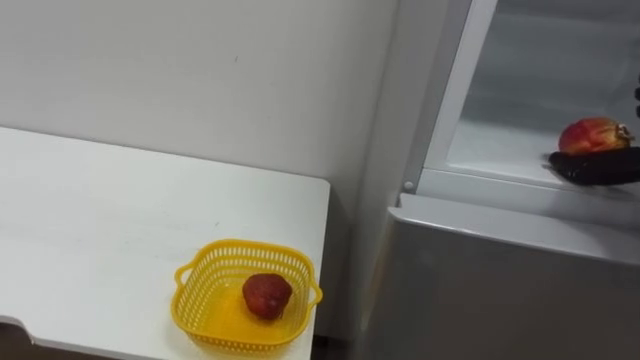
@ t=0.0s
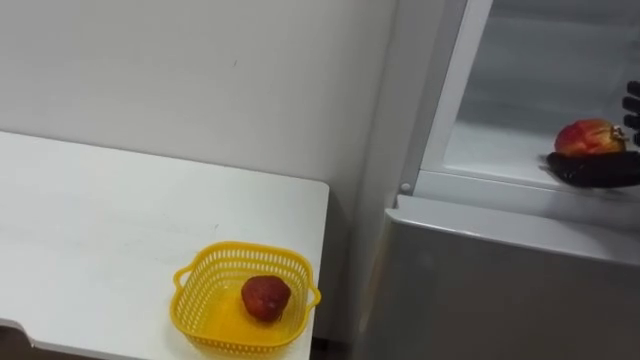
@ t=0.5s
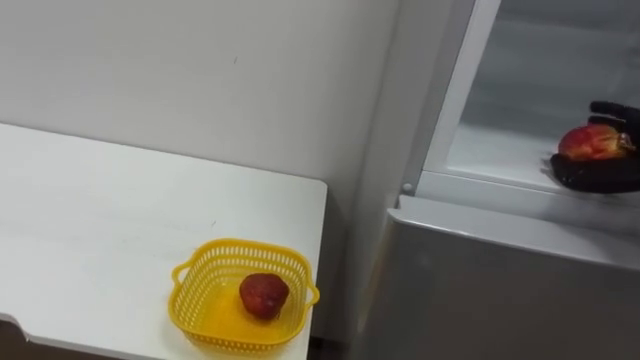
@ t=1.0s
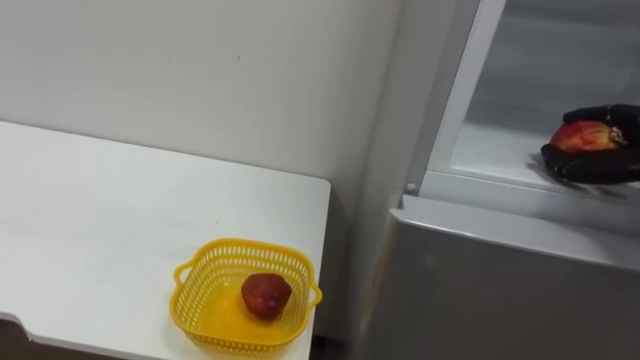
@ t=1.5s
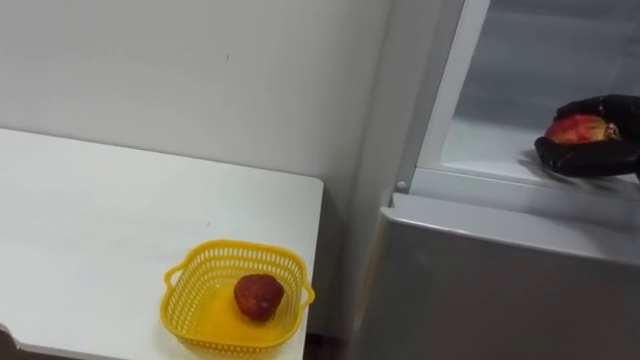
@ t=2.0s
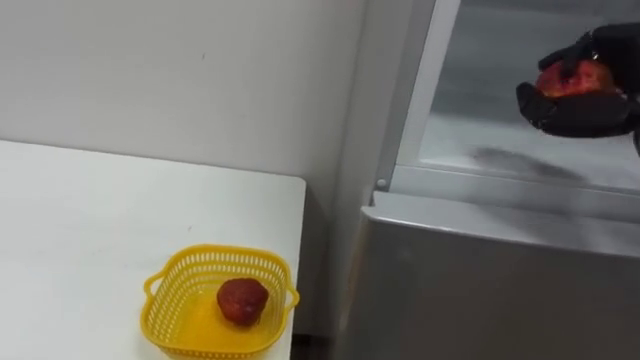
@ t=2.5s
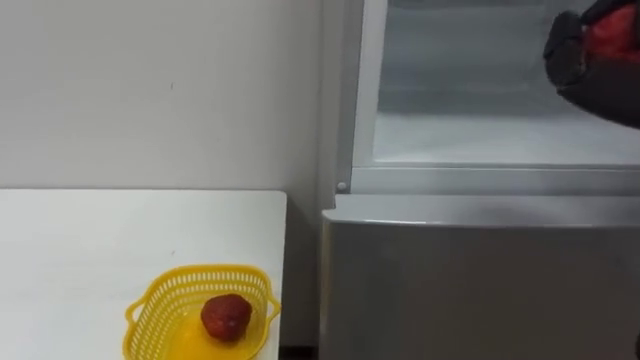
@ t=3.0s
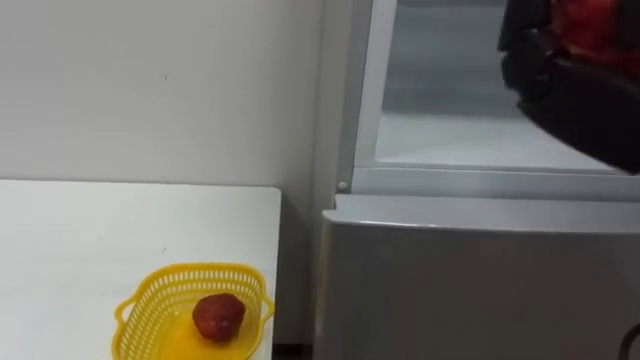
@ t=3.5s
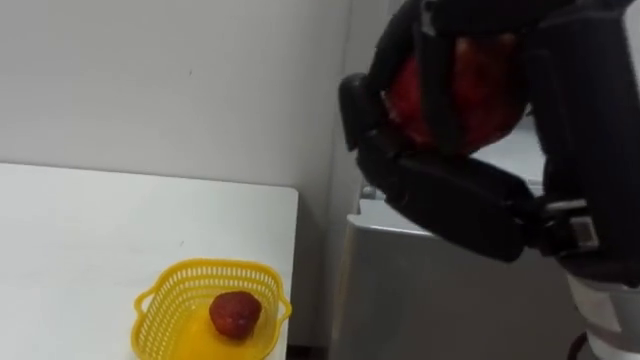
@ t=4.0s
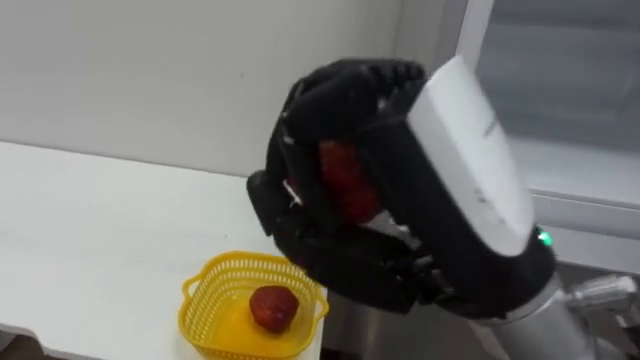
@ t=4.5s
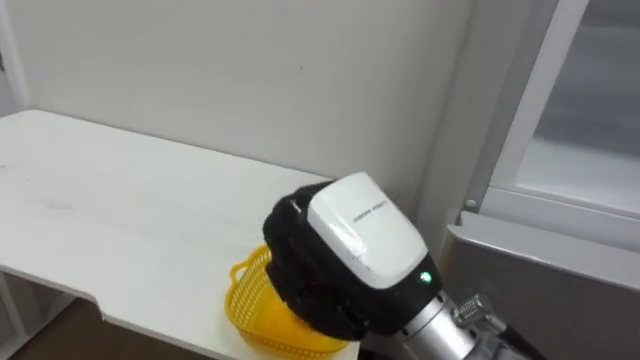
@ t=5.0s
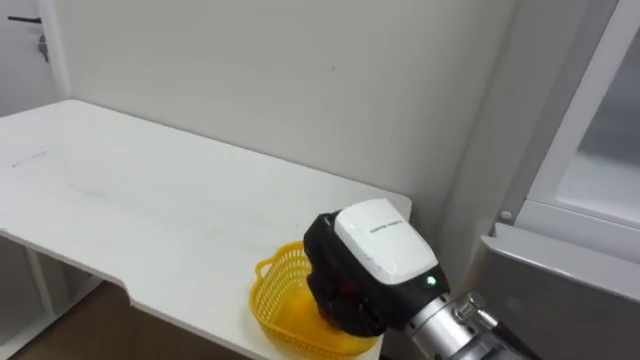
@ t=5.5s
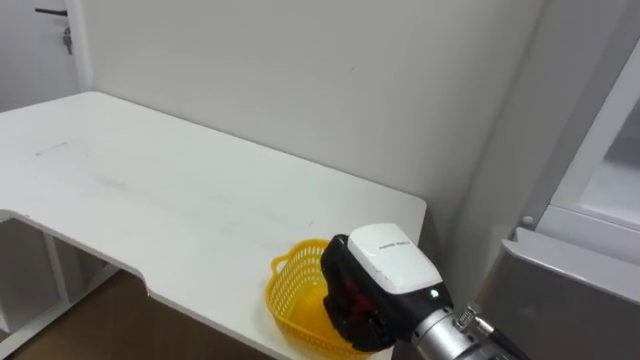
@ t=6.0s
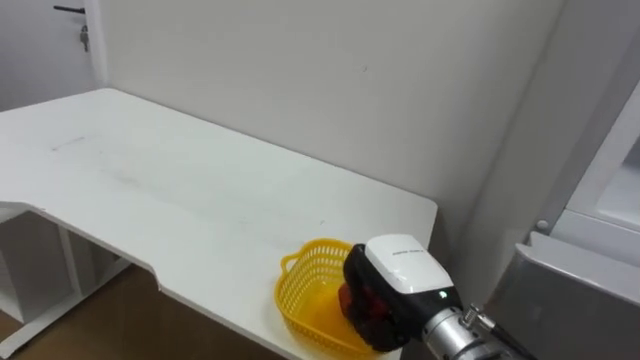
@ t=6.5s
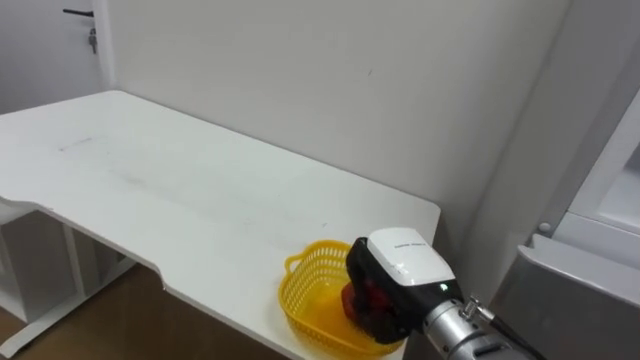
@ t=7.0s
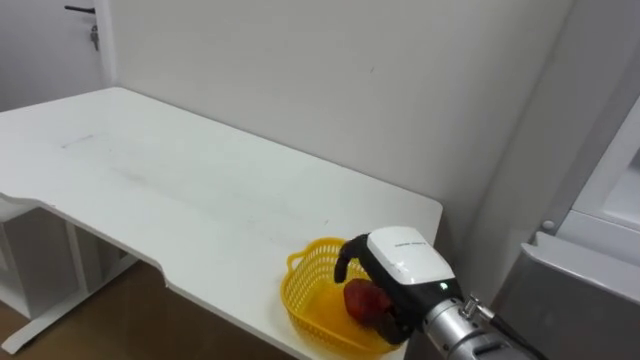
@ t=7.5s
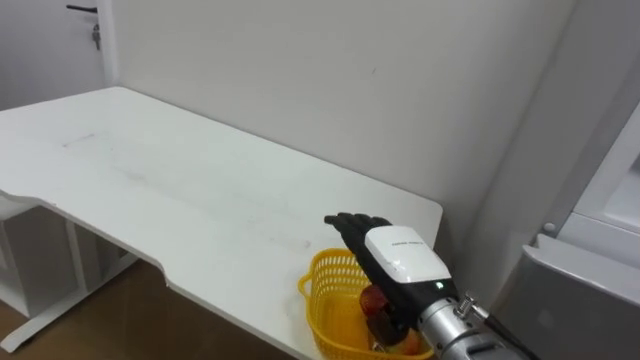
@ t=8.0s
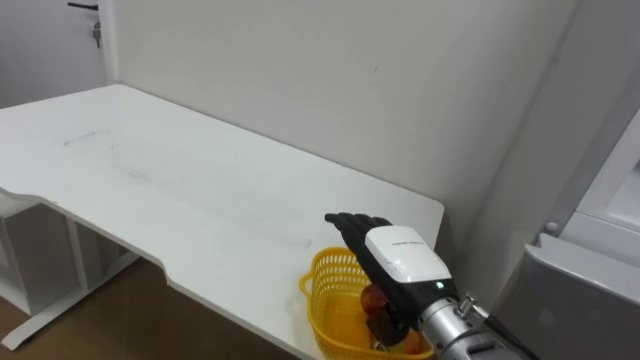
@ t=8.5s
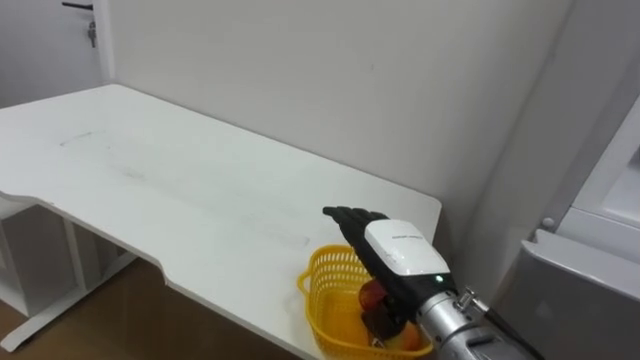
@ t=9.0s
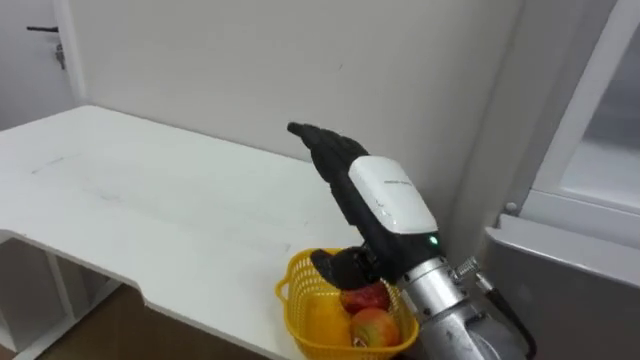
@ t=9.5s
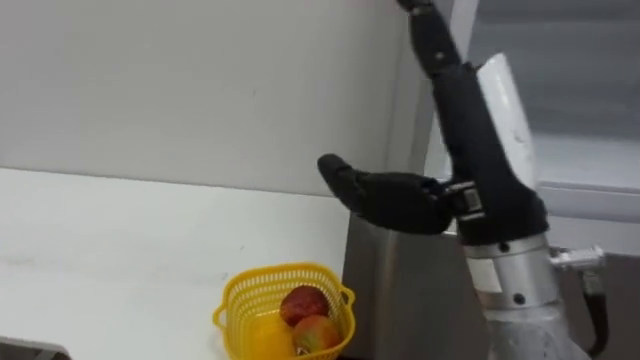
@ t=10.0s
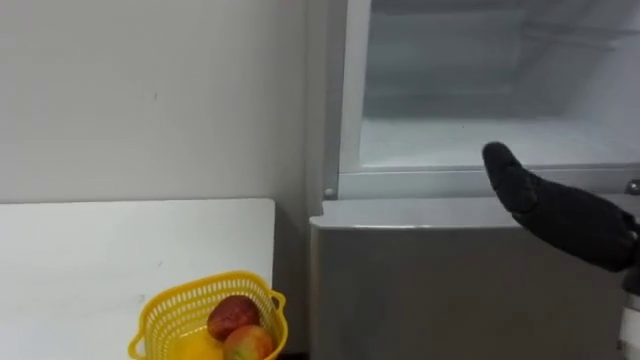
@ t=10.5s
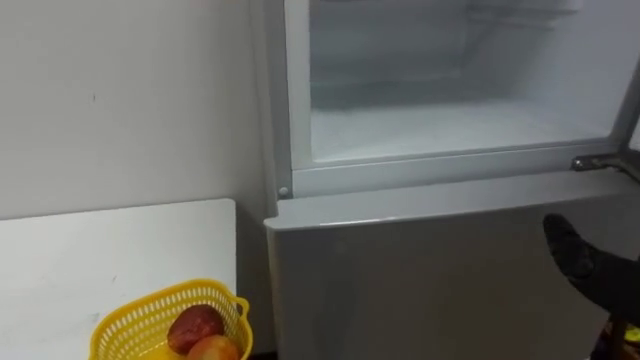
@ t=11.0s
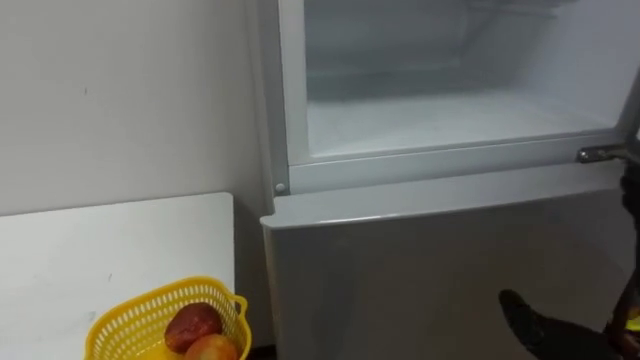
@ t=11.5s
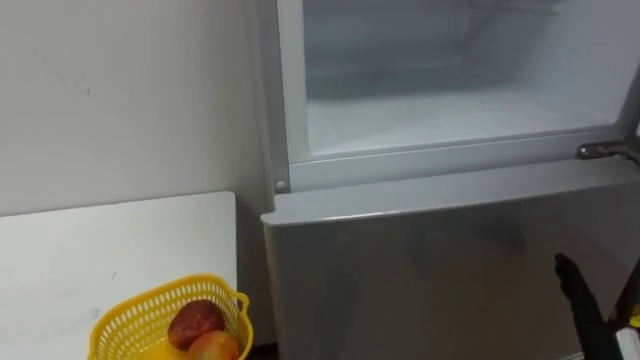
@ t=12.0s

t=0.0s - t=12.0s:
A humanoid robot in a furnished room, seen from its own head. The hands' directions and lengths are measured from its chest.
Task of the whole recording: Open the refrigerator door, take out the apple and the pomegranate, place them in the fruit basket on the left, and close the refrigerator door.
t=4.0s - t=6.0s: The right hand travels downward and forward by approximately 25 cm.
t=6.0s - t=8.0s: The right hand opens up.
t=8.0s - t=10.0s: The right hand goes some 20 cm upward and backward.

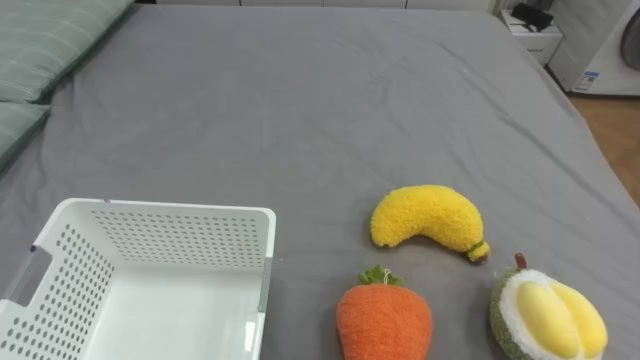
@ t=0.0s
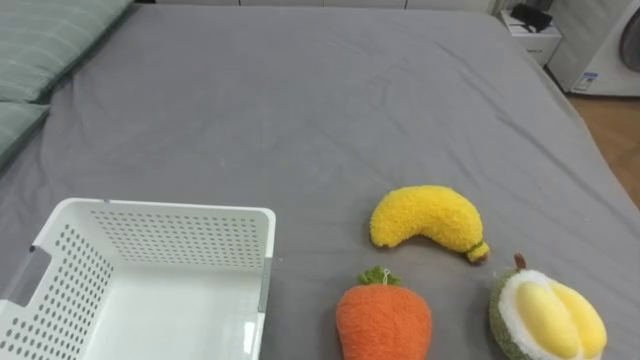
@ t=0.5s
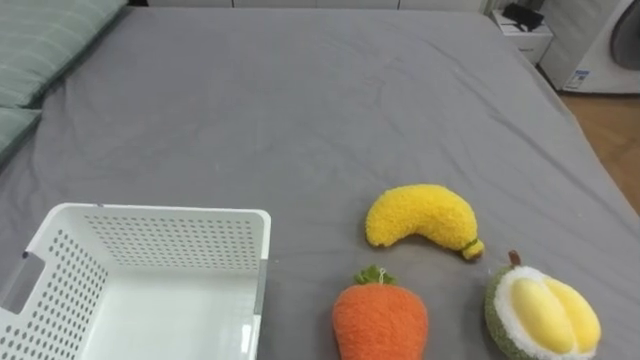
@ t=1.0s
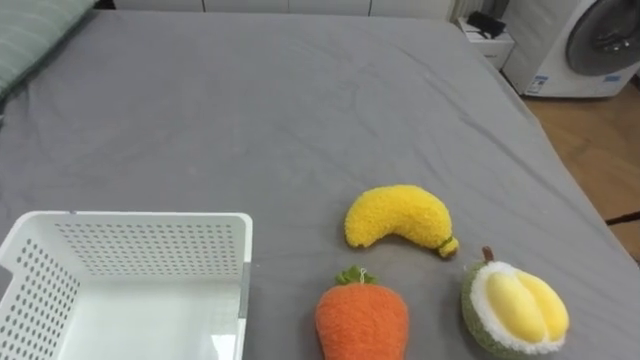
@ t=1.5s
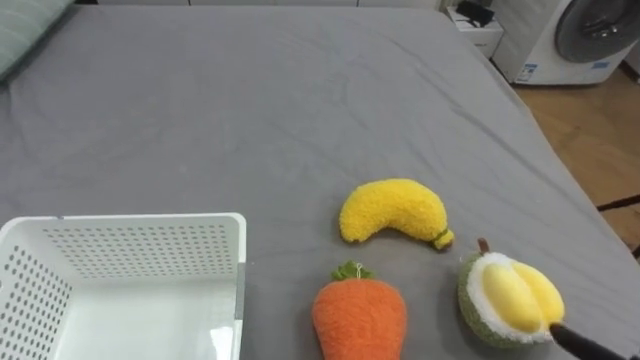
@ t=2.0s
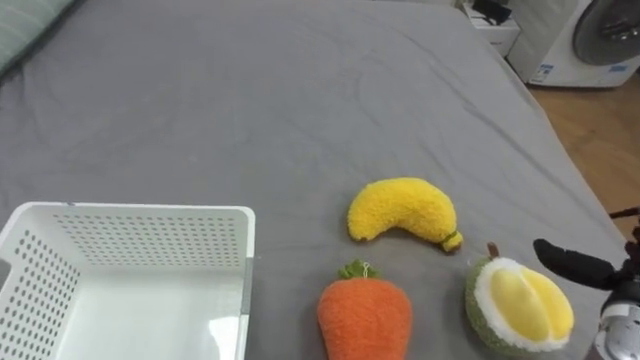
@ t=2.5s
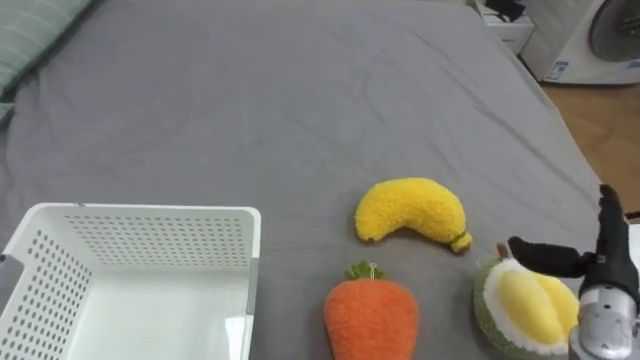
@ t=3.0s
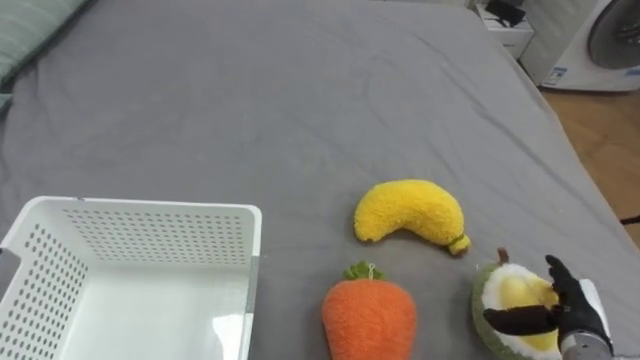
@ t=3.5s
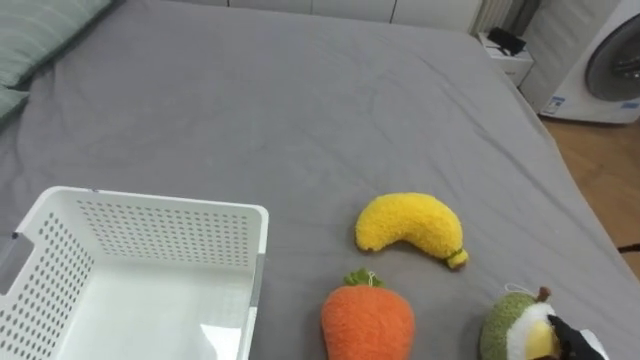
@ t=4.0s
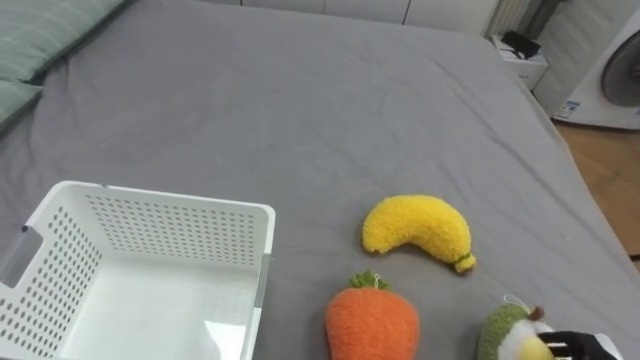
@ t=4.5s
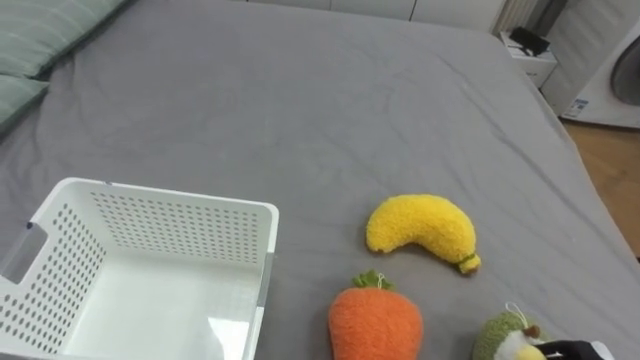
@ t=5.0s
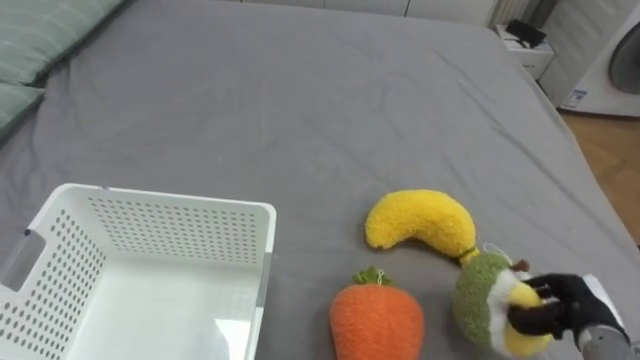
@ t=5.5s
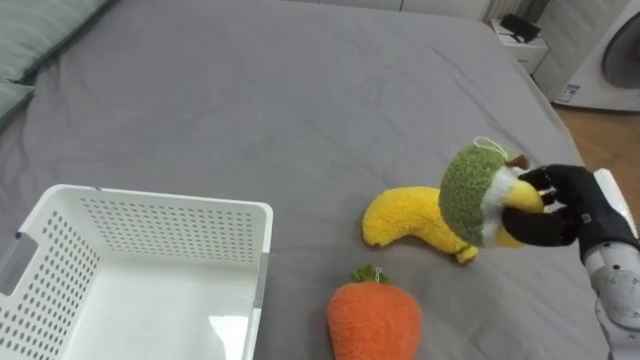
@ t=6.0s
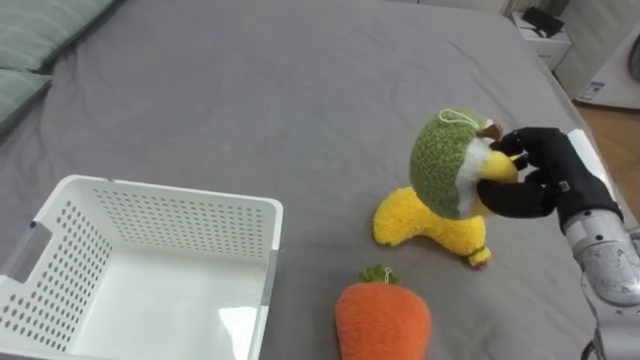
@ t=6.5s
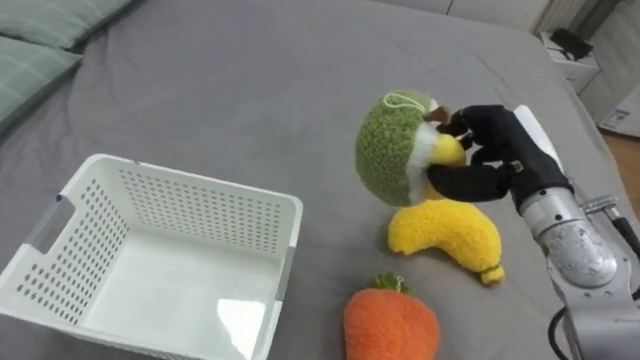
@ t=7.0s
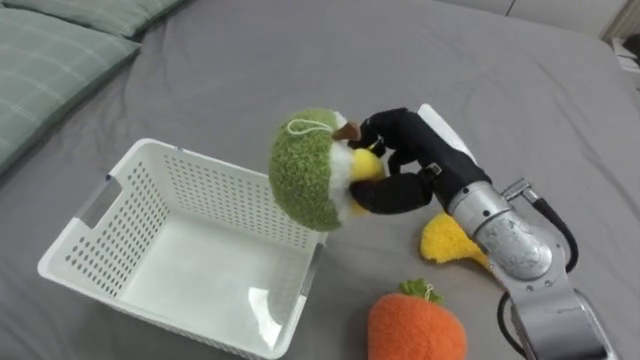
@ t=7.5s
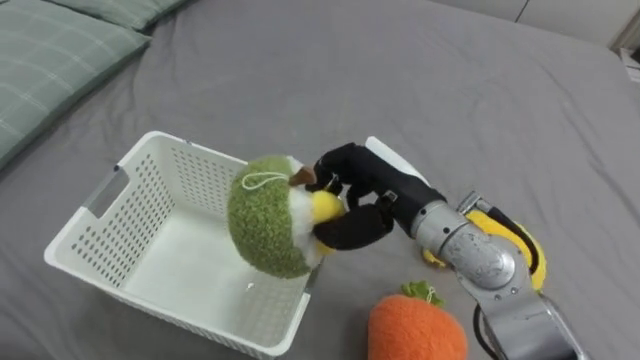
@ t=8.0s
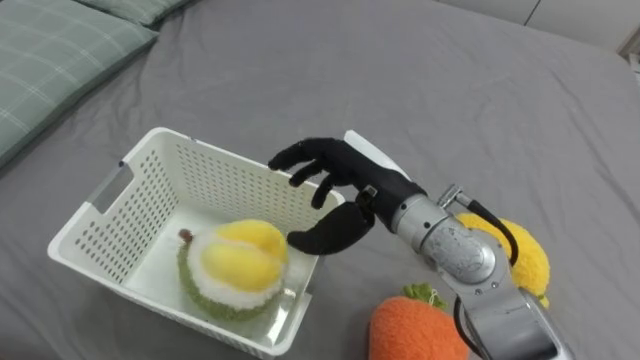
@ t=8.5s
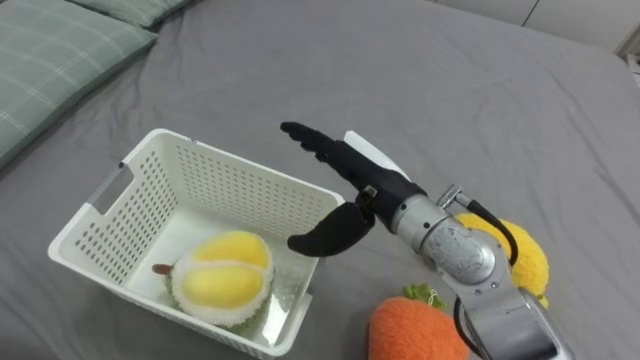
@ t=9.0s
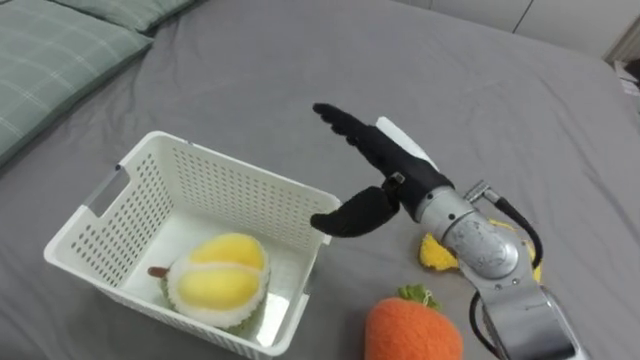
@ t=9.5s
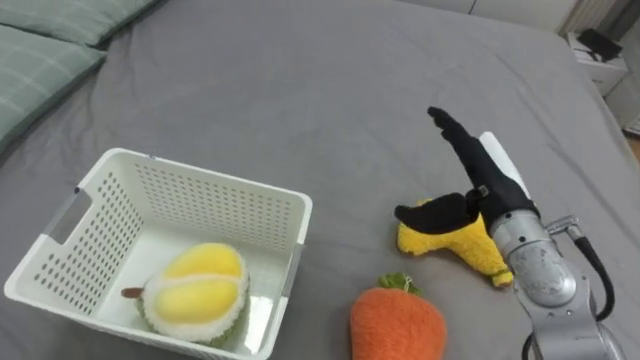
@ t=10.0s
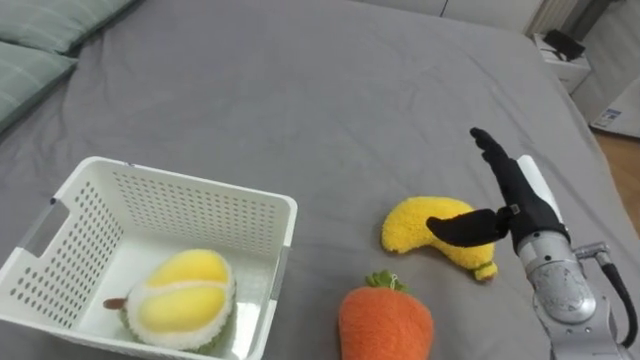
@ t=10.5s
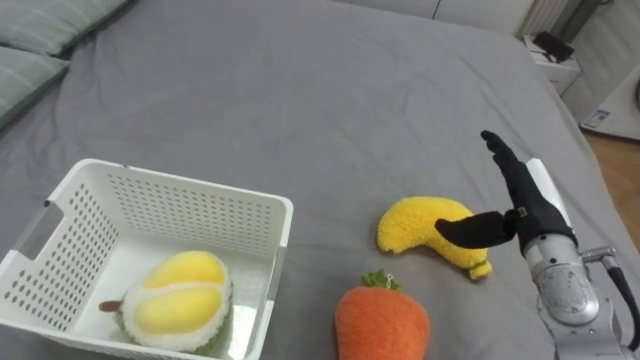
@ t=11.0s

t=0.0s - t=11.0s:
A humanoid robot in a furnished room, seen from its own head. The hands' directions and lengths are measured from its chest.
Task of the whole recording: Put the toys on the bed into the basket on the left.
t=5.5s - t=7.5s: The right hand heads to the left, upward and forward, covering some 35 cm.
t=7.5s - t=9.0s: The right hand travels to the left by roughly 5 cm, and opens.
t=9.0s - t=11.0s: The right hand moves to the right, some 20 cm.
